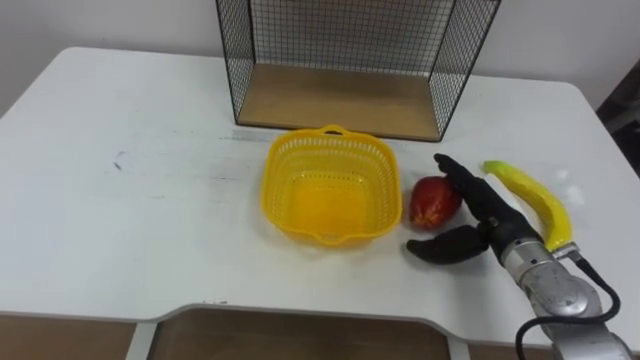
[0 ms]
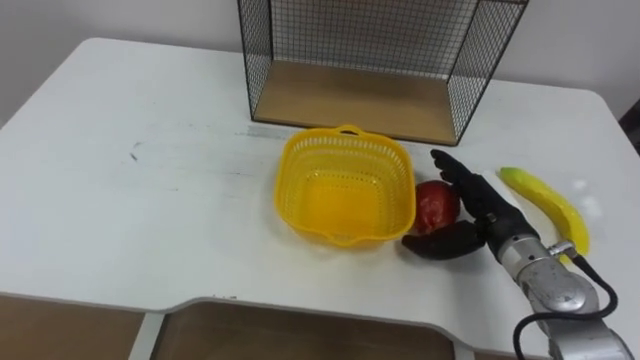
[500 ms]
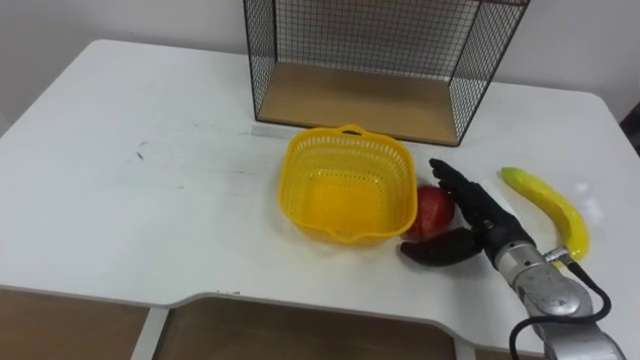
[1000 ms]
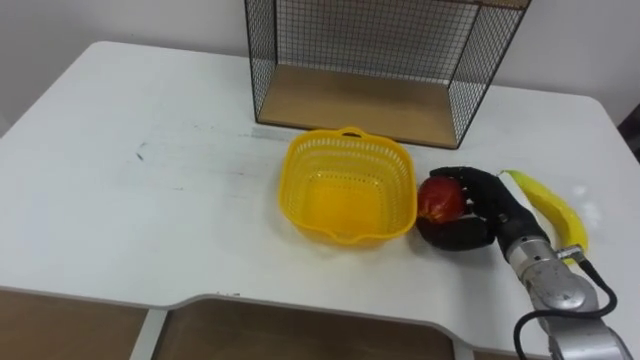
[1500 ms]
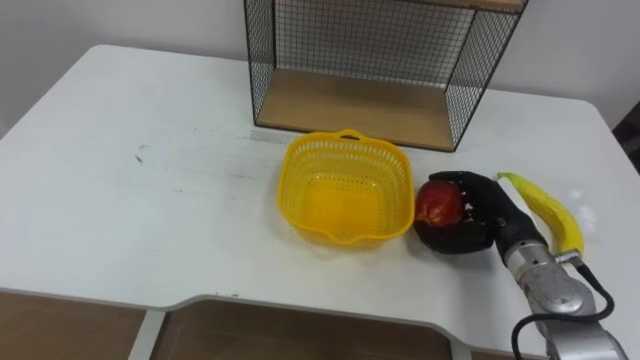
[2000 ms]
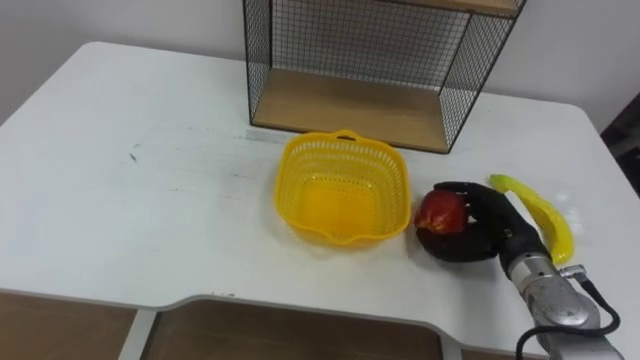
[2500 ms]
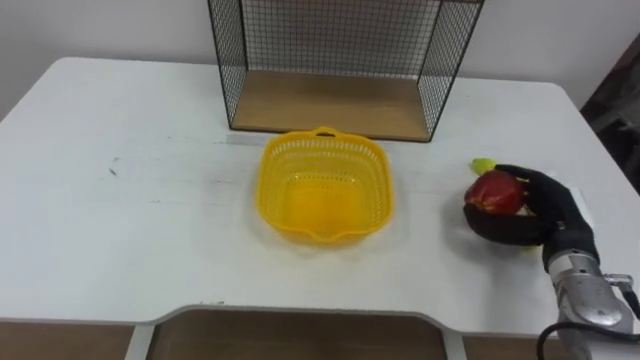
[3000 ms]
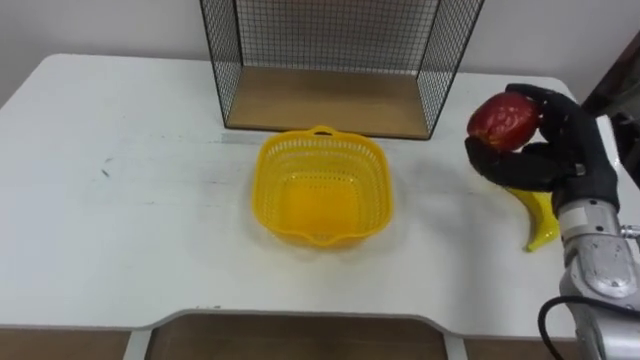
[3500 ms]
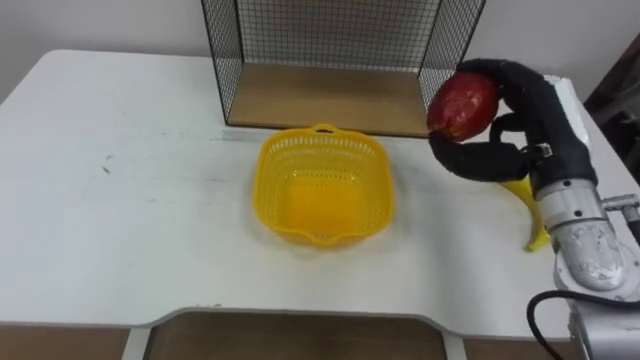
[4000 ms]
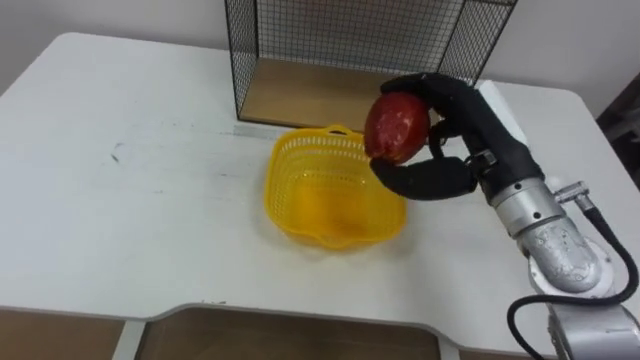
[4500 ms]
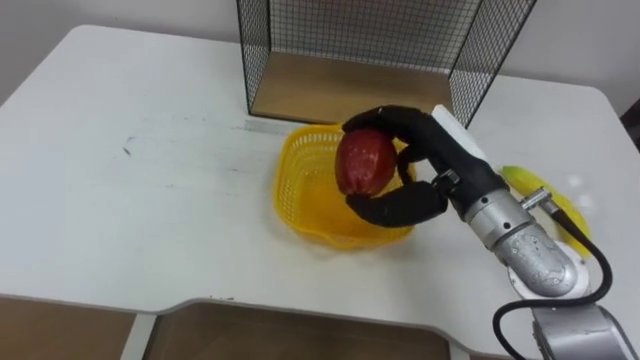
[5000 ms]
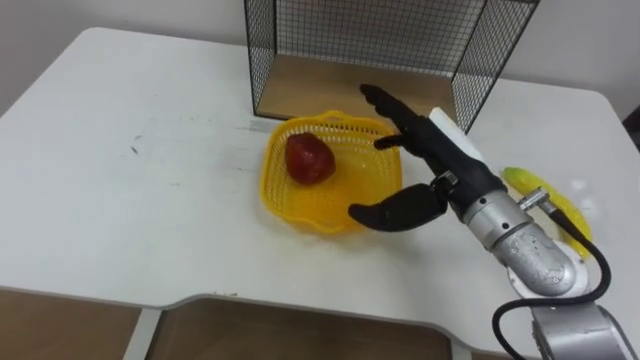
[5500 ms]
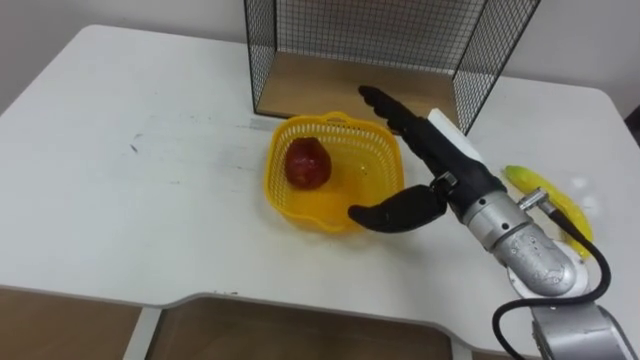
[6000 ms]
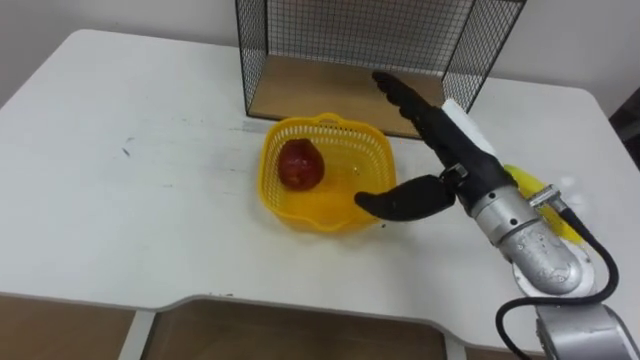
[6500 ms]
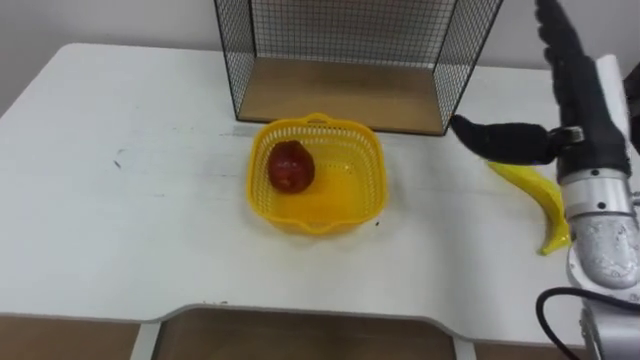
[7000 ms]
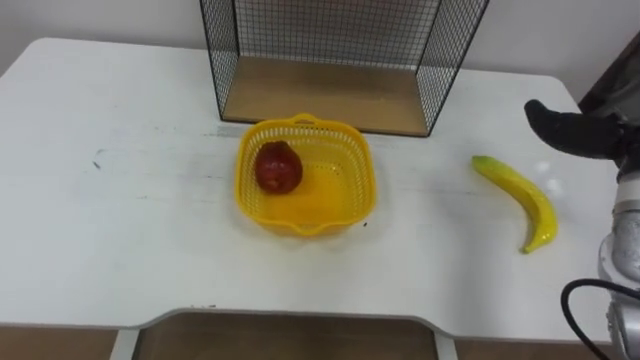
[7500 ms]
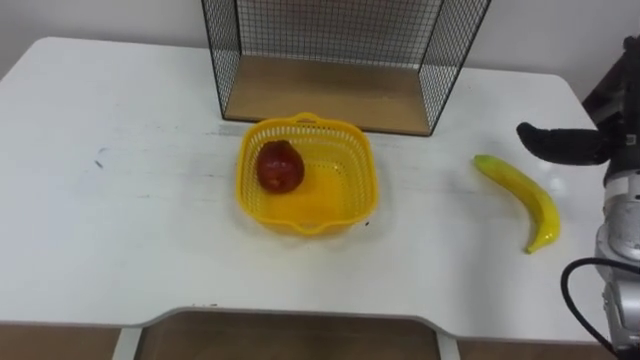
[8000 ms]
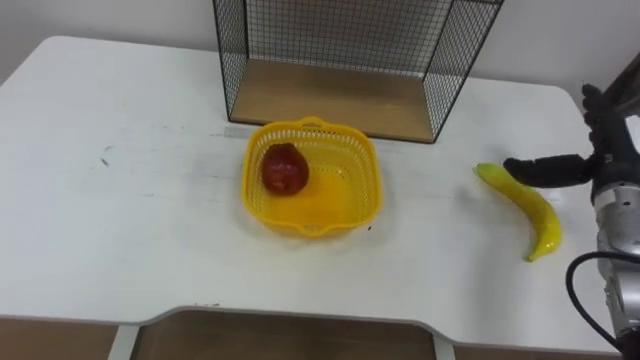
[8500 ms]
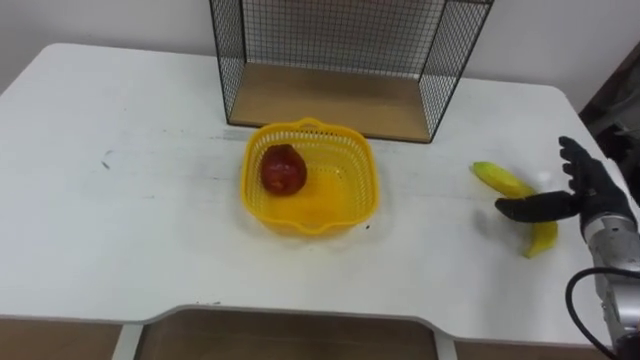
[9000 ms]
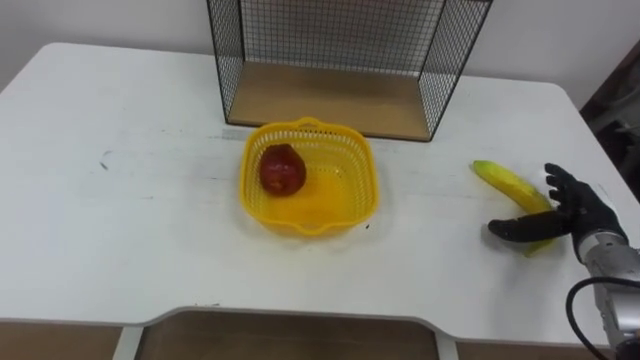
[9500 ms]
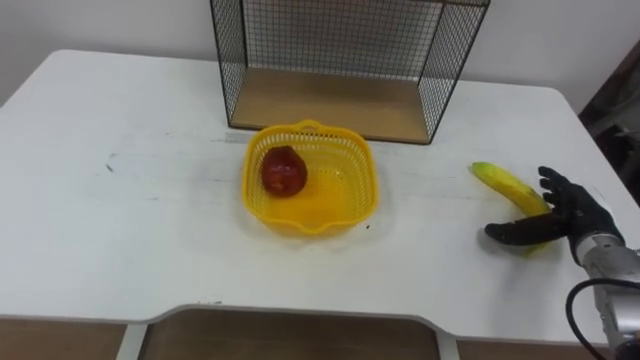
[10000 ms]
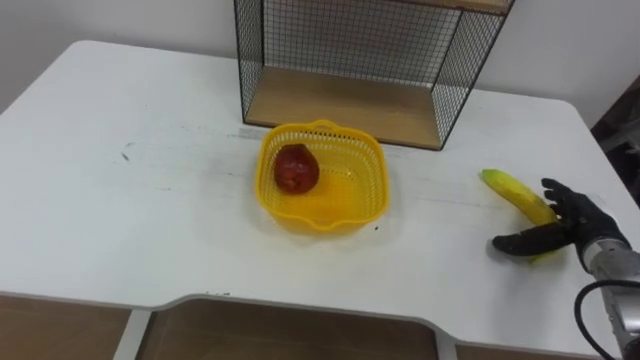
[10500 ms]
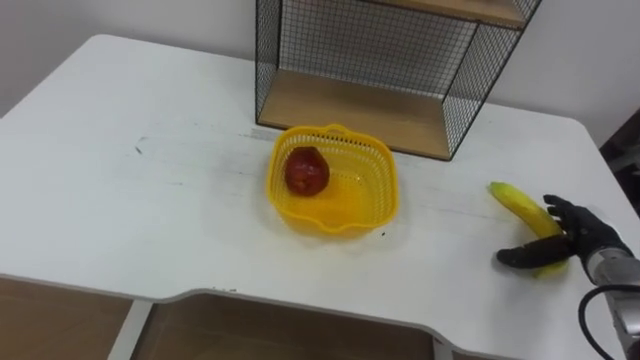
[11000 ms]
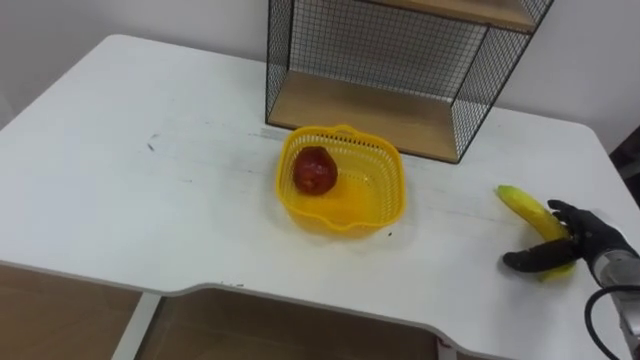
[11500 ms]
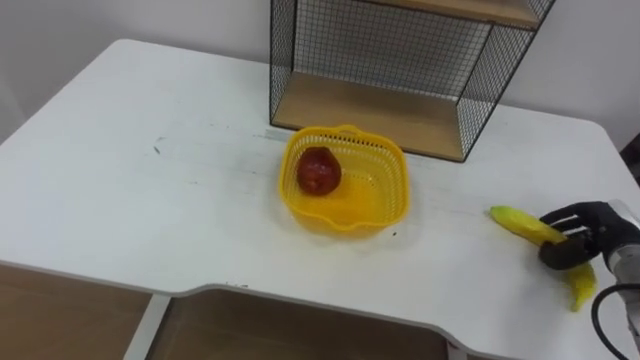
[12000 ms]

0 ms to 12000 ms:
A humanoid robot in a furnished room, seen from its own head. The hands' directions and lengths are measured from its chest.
Task of the whole recording: Put the fruit on the table into the basket, then place the basket on the shelf.
0 ms to 2000 ms: The right hand closes.
2000 ms to 4000 ms: The right hand heads upward, covering approximately 15 cm.
4000 ms to 6000 ms: The right hand shifts some 10 cm to the left, and opens its fingers.
10000 ms to 12000 ms: The right hand closes.

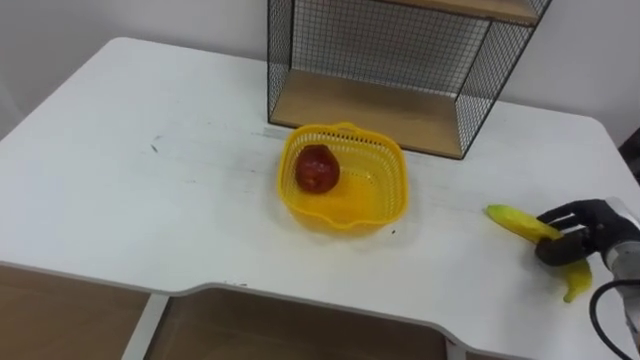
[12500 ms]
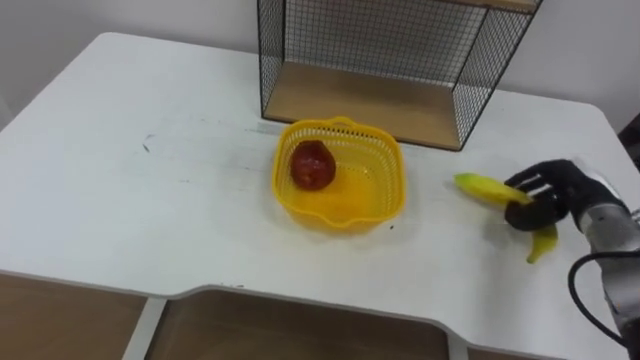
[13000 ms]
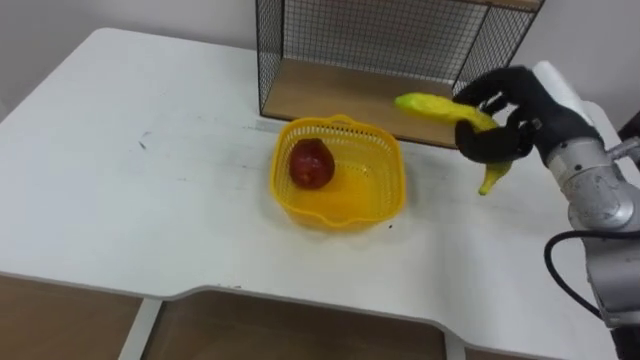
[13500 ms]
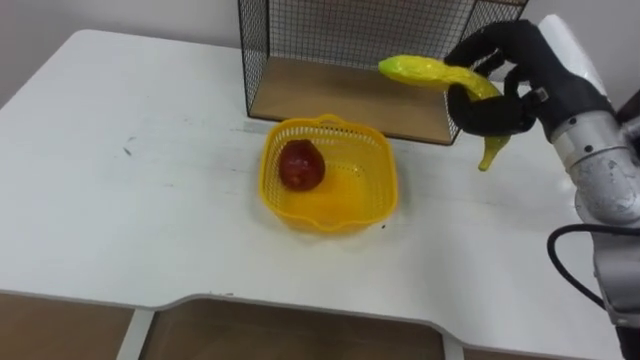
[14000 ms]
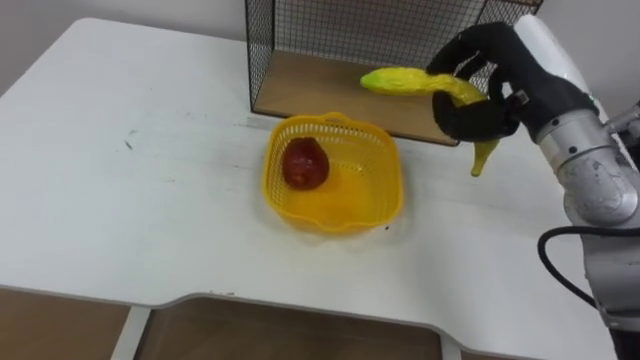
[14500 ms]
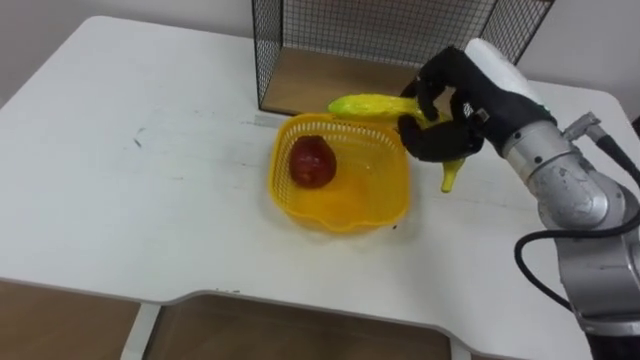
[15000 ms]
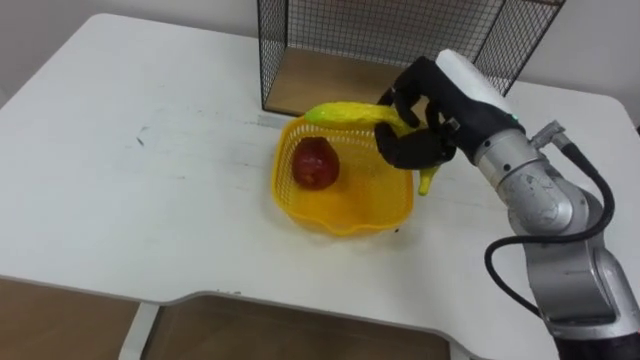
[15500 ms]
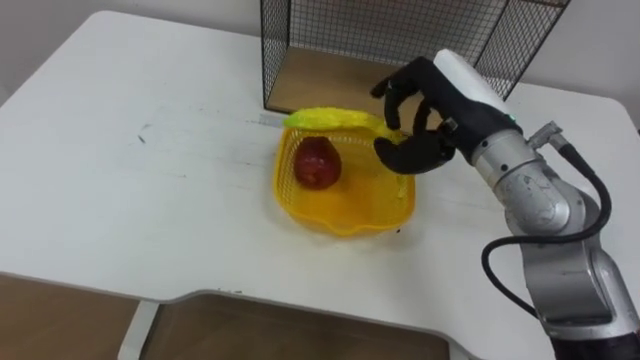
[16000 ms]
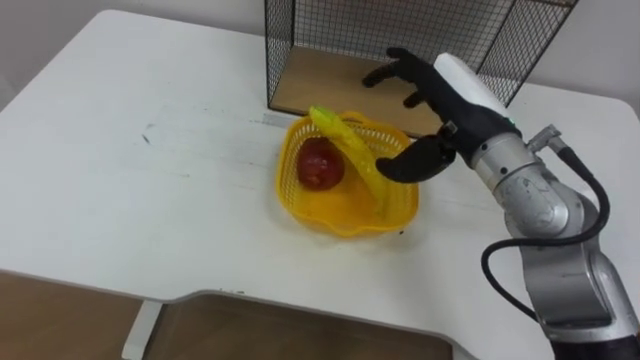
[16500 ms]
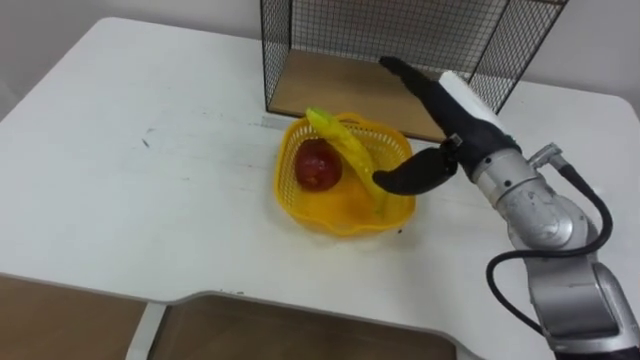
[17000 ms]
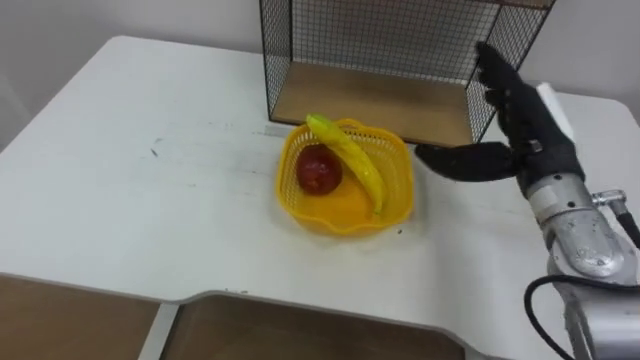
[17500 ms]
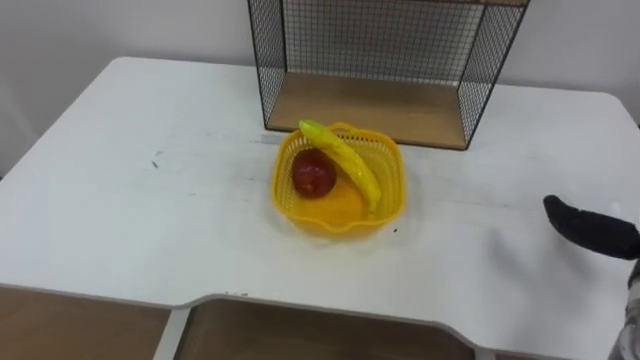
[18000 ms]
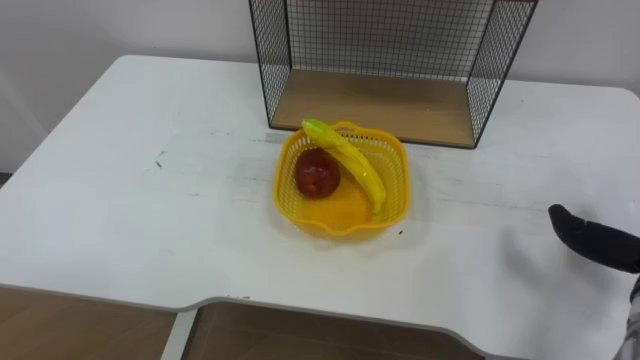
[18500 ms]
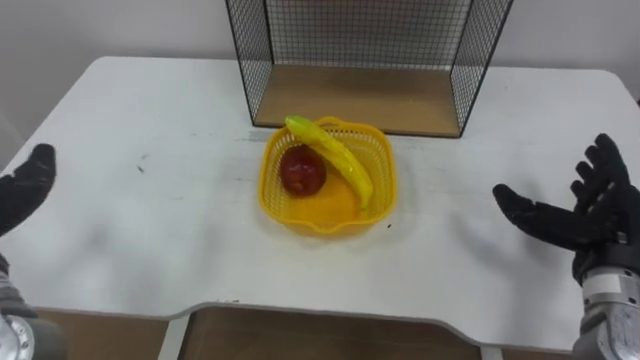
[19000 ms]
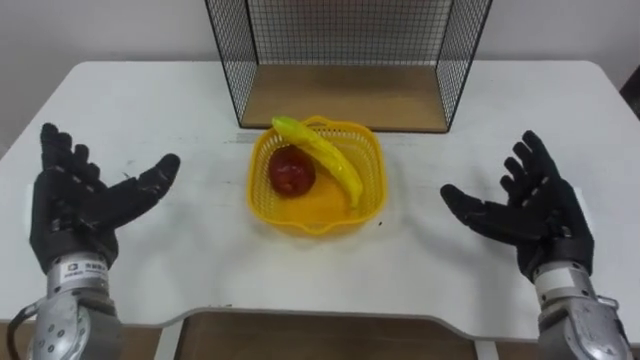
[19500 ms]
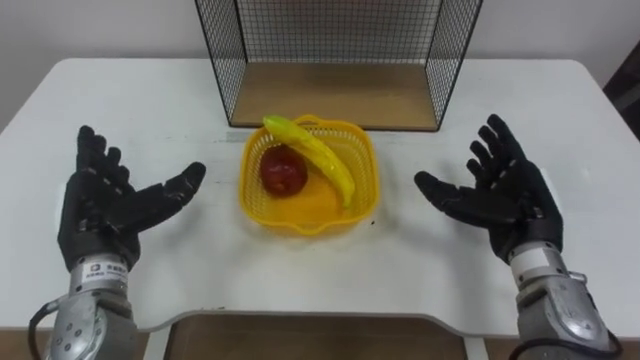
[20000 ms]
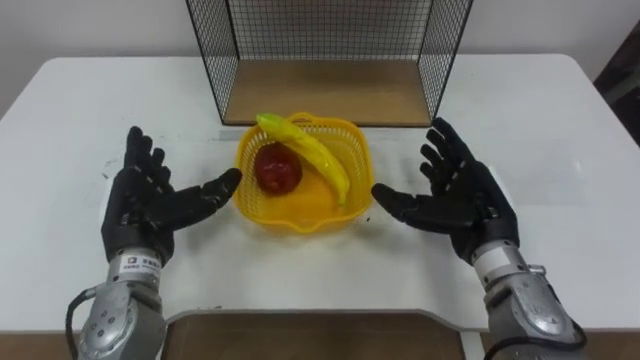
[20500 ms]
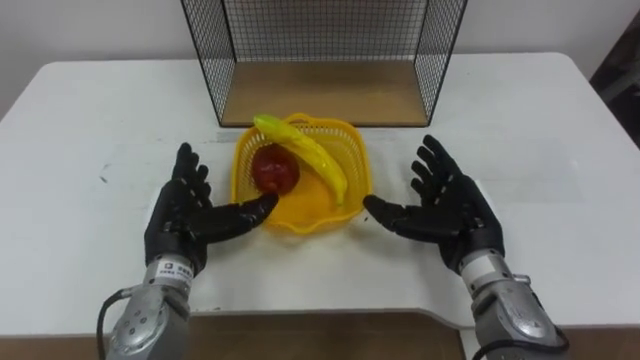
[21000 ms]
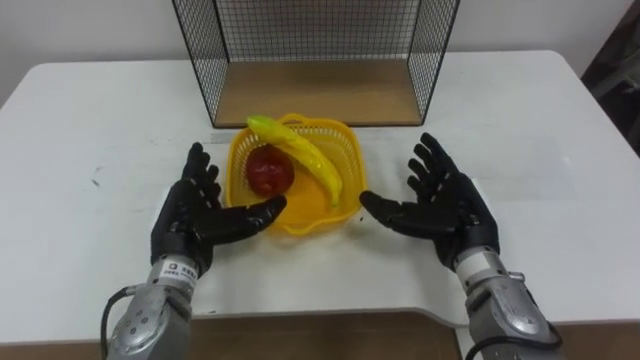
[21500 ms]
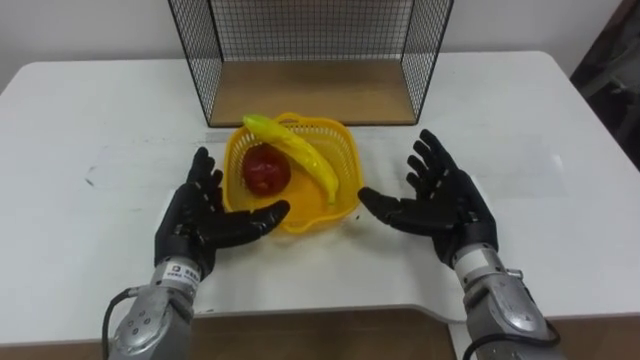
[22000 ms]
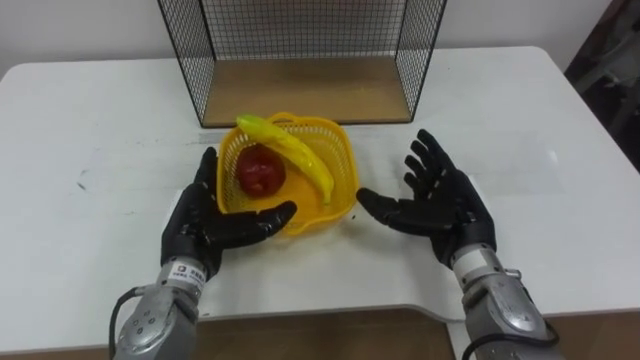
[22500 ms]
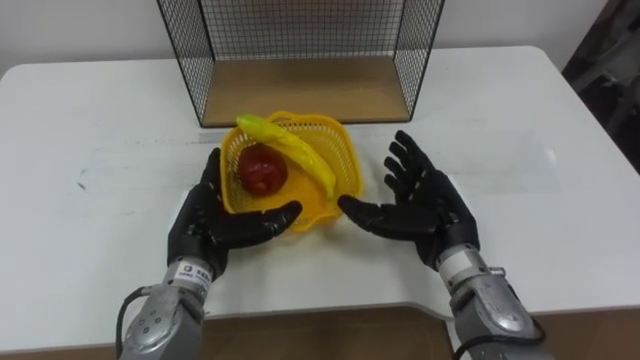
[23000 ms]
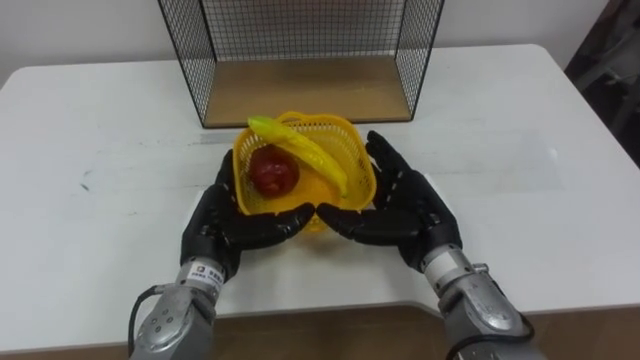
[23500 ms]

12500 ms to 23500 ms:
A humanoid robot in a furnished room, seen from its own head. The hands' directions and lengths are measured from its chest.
Task of the whole recording: Put the fruit on the table into the basket, then place the basket on the shelf.
12500 ms to 14500 ms: The right hand is displaced upward and to the left by approximately 30 cm.
14500 ms to 16000 ms: The right hand travels to the left by about 5 cm.
20000 ms to 21500 ms: The left hand travels to the right by roughly 10 cm. The right hand travels to the left by approximately 5 cm.
21500 ms to 23500 ms: The right hand travels to the left by about 5 cm.
